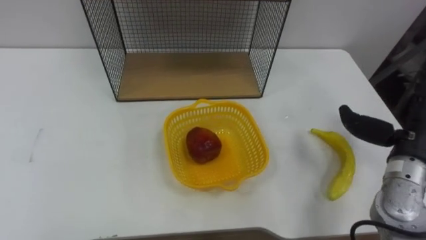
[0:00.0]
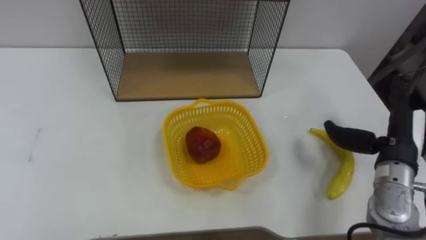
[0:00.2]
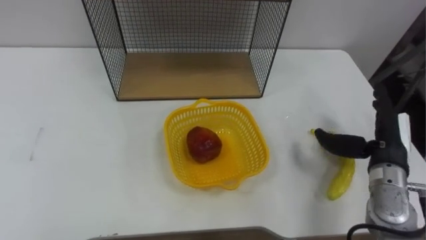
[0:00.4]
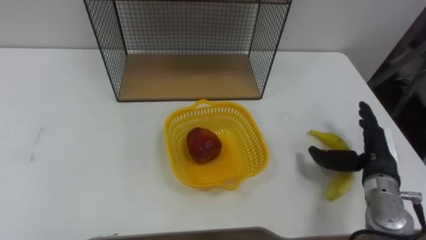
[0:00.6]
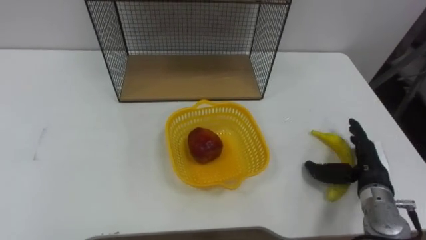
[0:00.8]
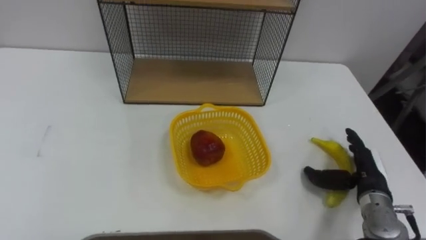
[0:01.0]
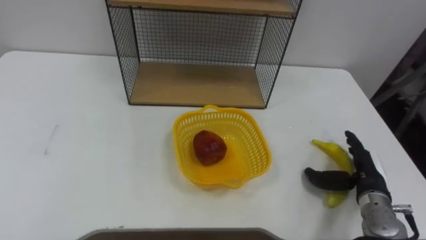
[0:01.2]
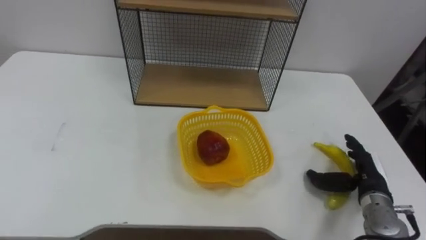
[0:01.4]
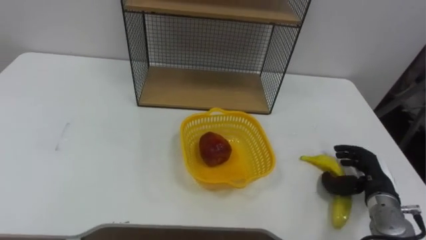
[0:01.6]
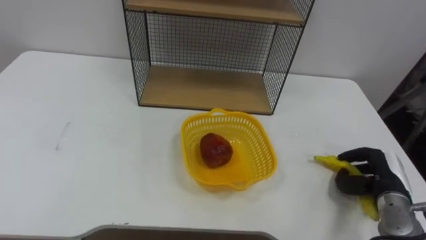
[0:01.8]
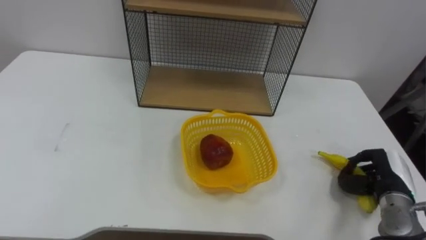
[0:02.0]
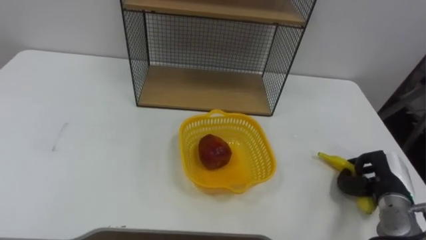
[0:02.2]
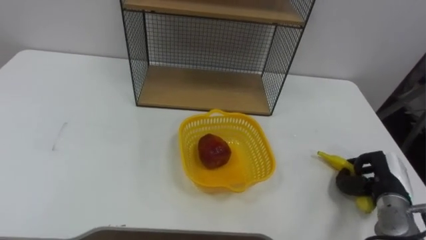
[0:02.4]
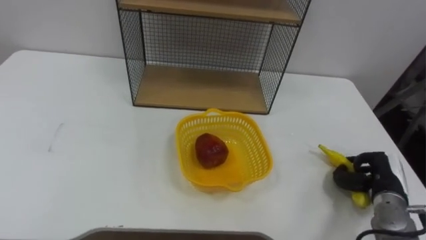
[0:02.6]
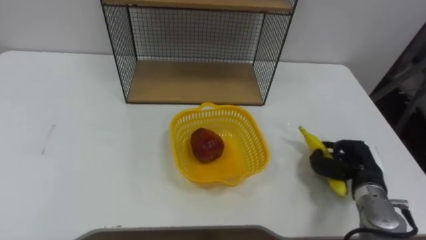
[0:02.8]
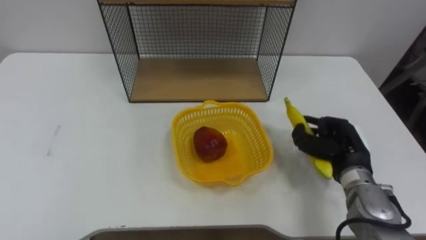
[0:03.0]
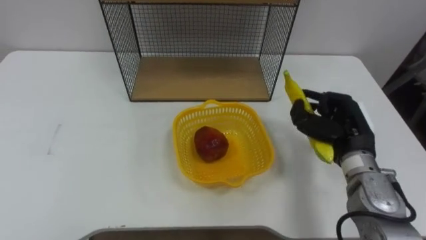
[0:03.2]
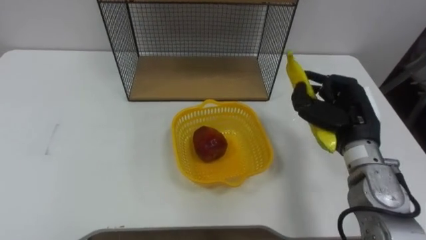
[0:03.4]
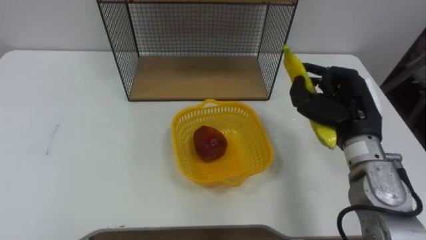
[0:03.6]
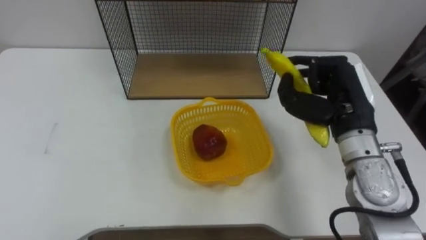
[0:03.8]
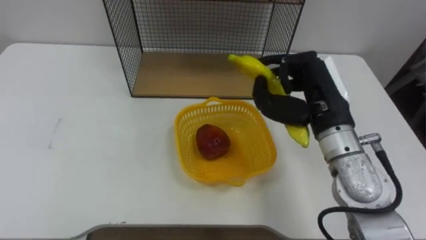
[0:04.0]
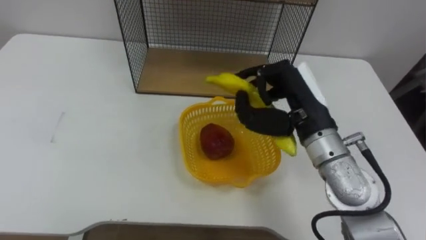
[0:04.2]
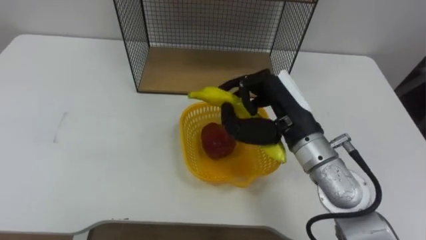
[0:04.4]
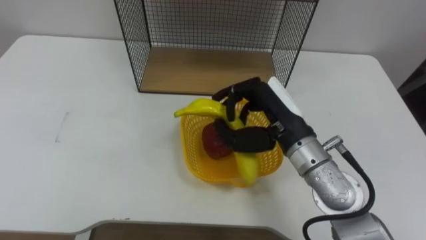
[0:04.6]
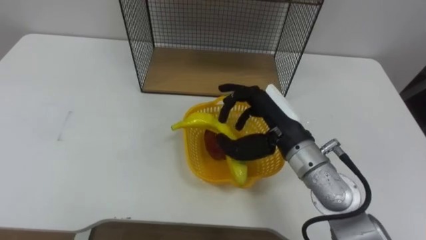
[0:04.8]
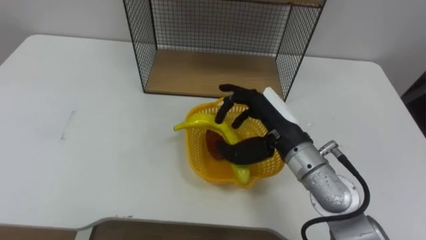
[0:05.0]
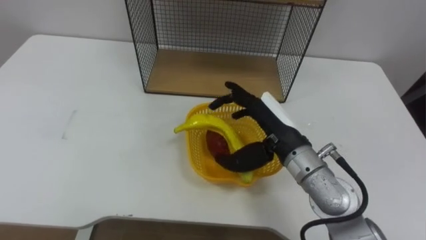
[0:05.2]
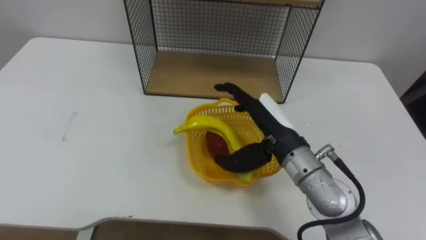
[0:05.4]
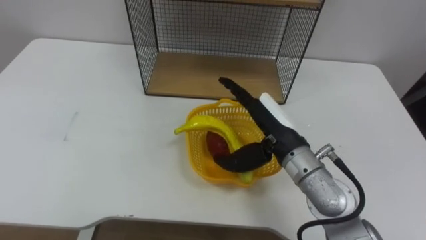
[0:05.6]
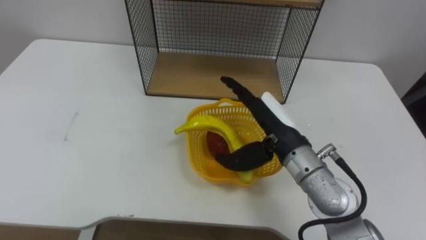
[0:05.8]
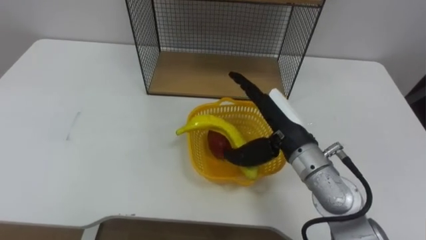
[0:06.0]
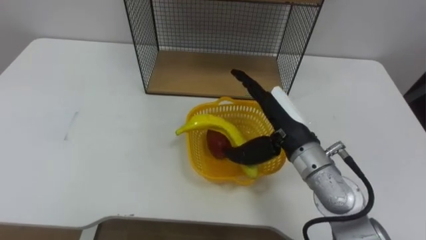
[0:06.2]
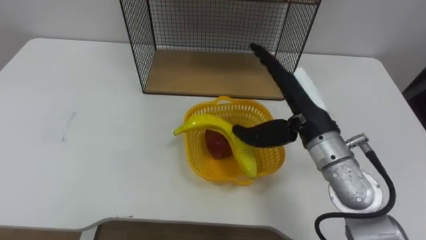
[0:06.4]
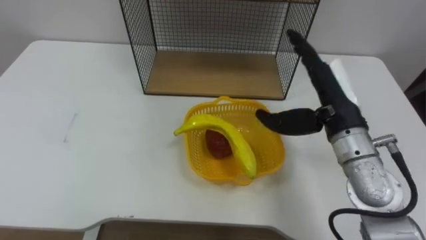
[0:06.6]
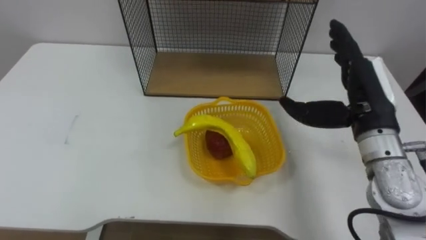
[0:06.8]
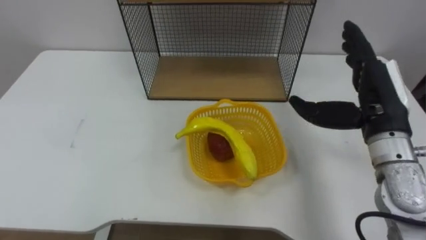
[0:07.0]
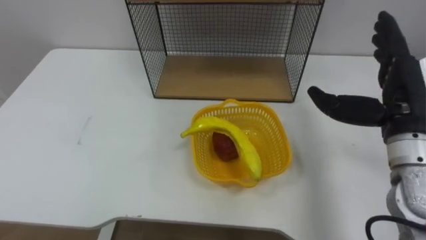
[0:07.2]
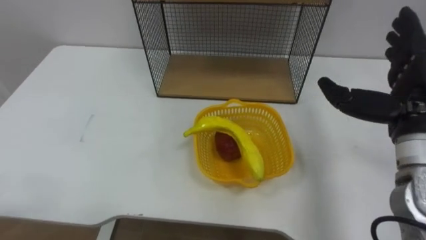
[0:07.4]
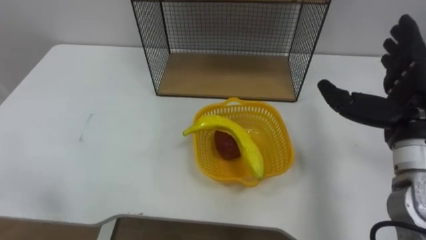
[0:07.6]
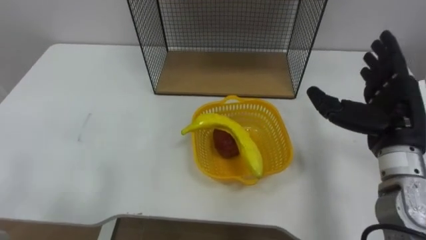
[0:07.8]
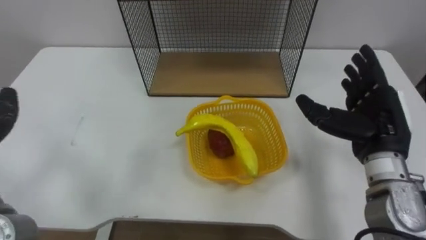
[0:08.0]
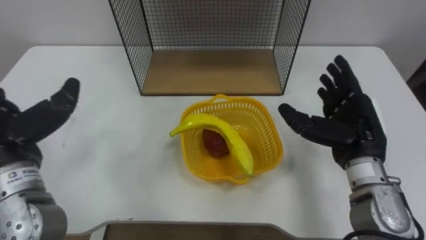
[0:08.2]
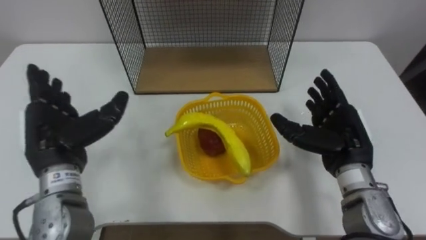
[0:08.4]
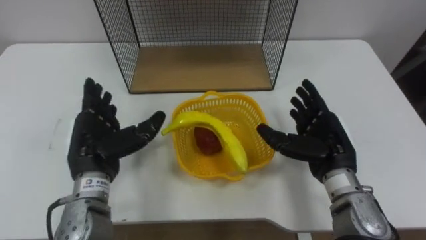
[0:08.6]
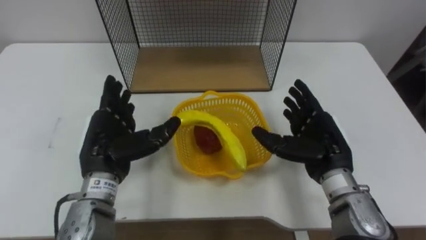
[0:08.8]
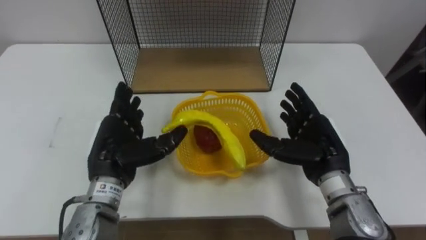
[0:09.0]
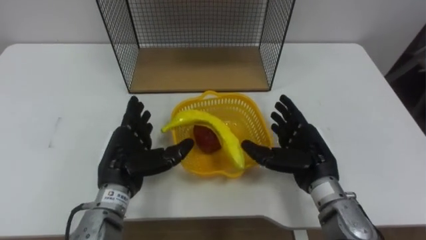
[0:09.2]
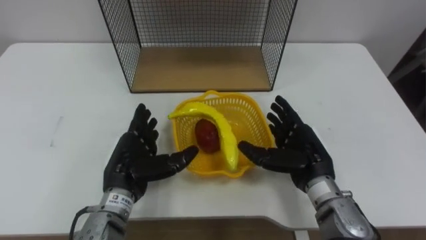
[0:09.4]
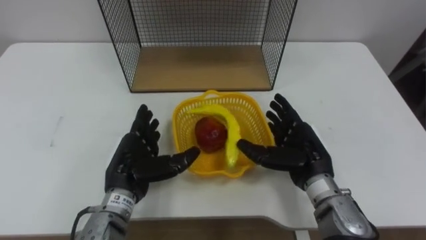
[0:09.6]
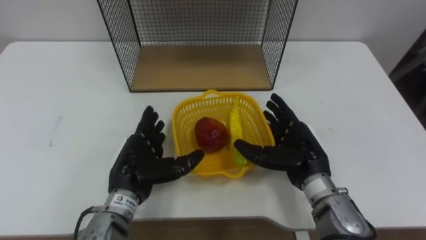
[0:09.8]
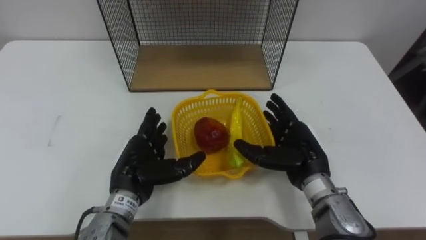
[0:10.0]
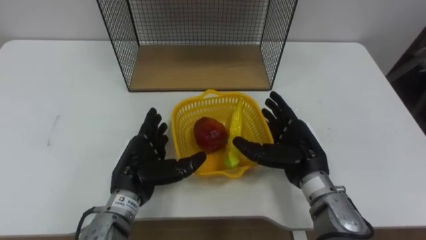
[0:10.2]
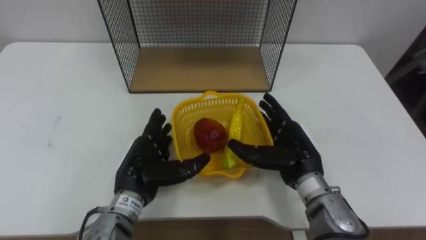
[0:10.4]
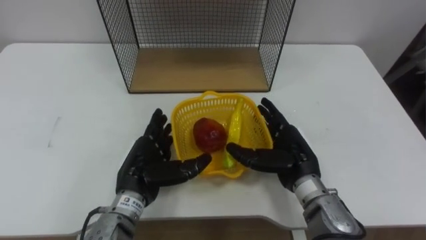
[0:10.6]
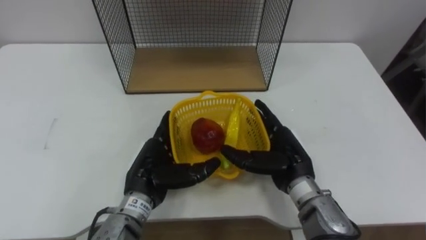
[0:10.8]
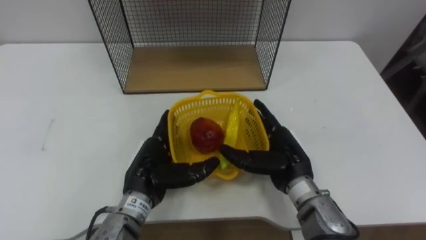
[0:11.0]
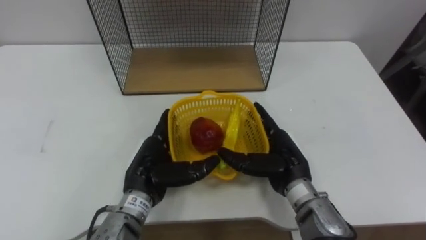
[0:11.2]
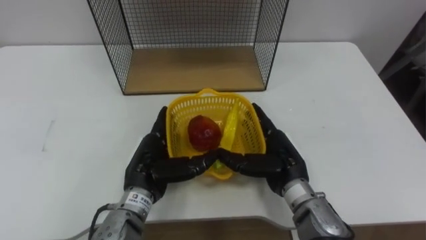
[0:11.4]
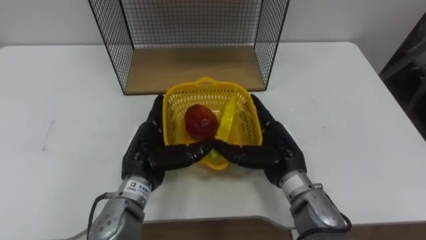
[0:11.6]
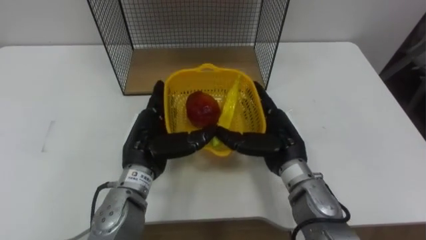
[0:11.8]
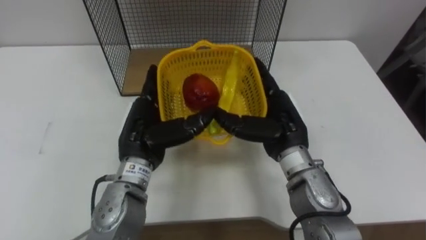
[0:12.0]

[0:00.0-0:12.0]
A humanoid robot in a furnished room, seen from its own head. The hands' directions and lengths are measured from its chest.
Task of the whole recording: Put the fruit on the table into the basket, then place the basket on the shelf.
0:00.0 to 0:01.6: The right hand shifts about 15 cm downward.
0:01.6 to 0:03.0: The right hand goes approximately 10 cm upward and to the left, and closes up.
0:03.0 to 0:04.4: The right hand travels to the left and upward by approximately 20 cm.
0:04.4 to 0:06.0: The right hand opens.
0:06.0 to 0:07.6: The right hand travels to the right by about 15 cm.
0:07.6 to 0:09.0: The right hand goes about 15 cm downward and to the left.
0:09.0 to 0:10.4: The left hand moves about 5 cm.
0:10.4 to 0:12.0: Both hands move upward, approximately 5 cm.

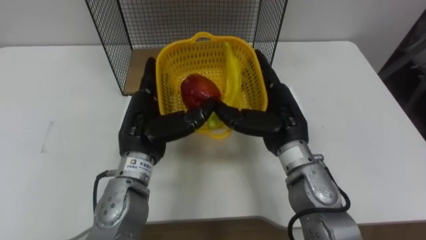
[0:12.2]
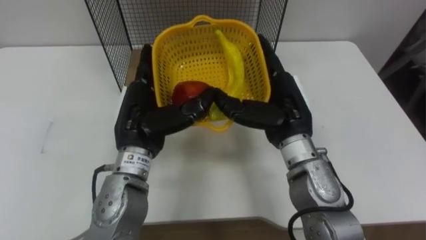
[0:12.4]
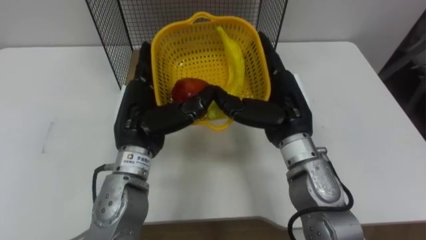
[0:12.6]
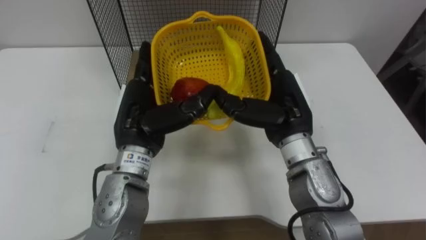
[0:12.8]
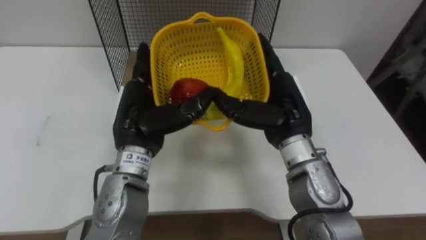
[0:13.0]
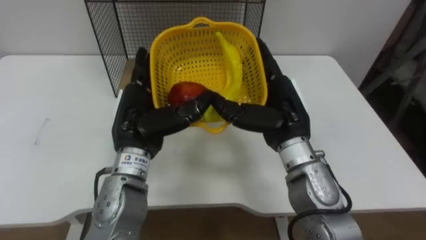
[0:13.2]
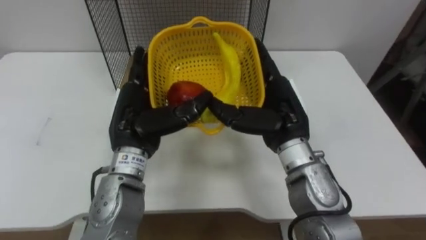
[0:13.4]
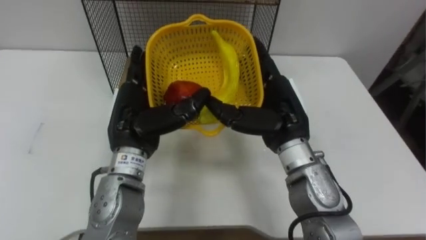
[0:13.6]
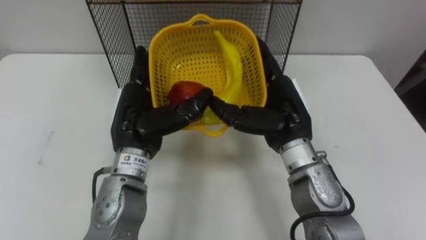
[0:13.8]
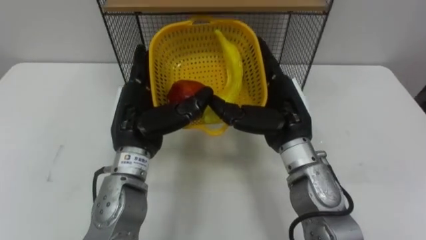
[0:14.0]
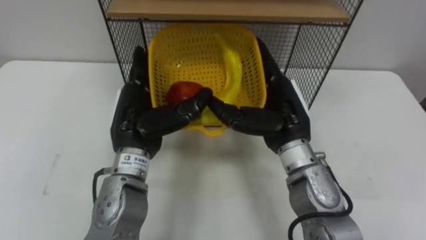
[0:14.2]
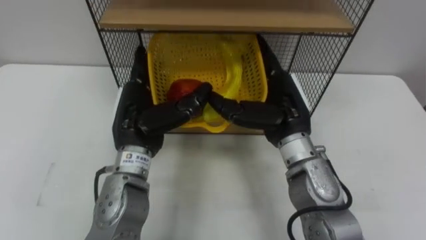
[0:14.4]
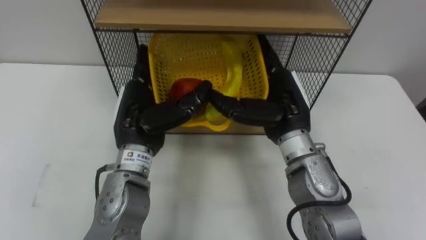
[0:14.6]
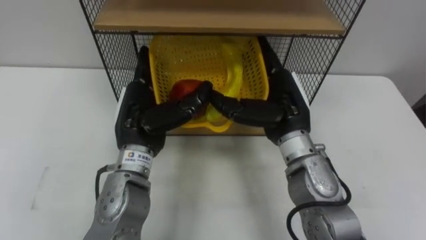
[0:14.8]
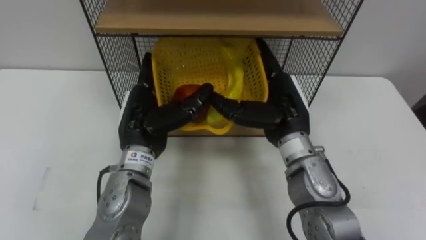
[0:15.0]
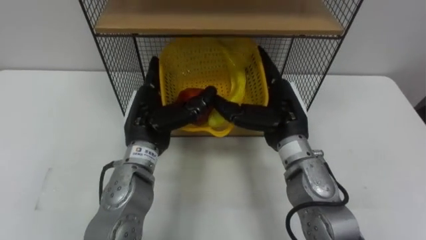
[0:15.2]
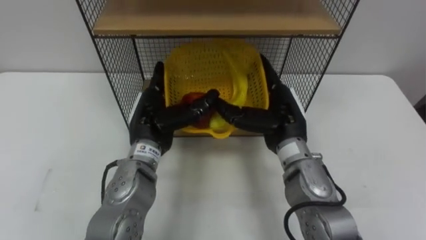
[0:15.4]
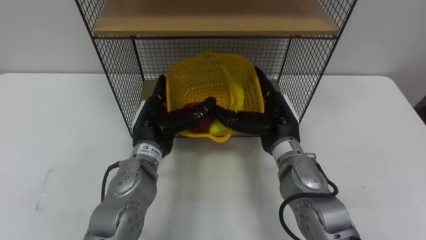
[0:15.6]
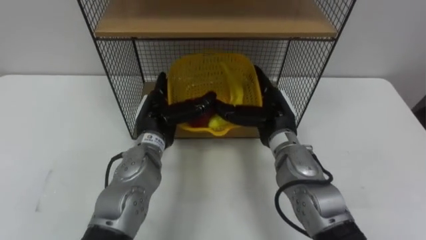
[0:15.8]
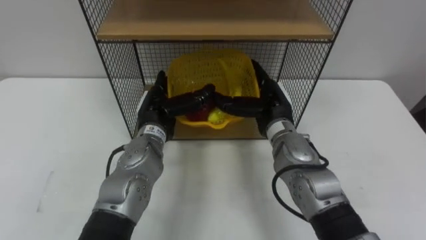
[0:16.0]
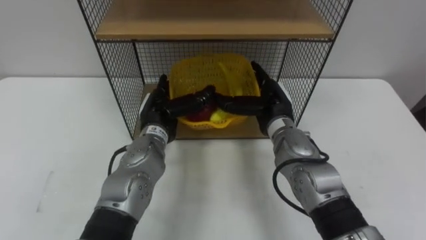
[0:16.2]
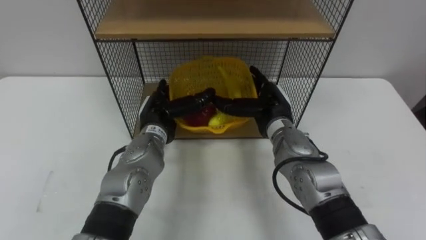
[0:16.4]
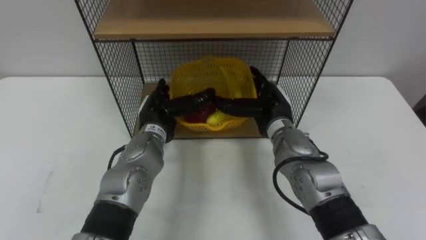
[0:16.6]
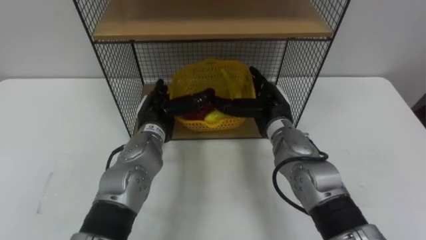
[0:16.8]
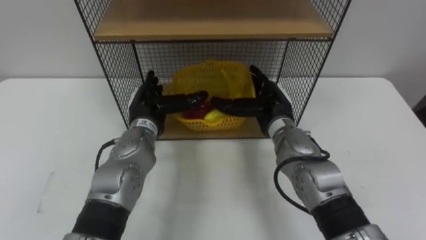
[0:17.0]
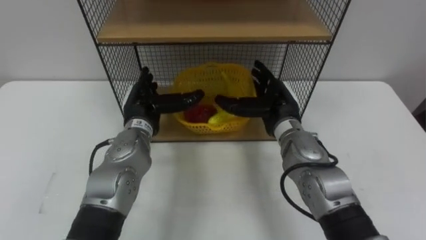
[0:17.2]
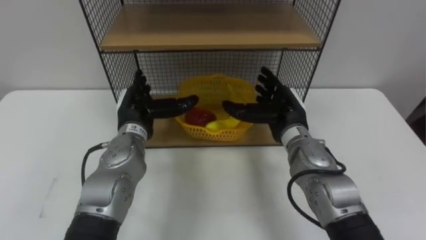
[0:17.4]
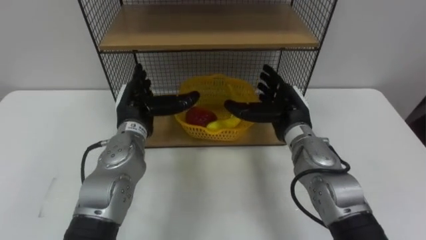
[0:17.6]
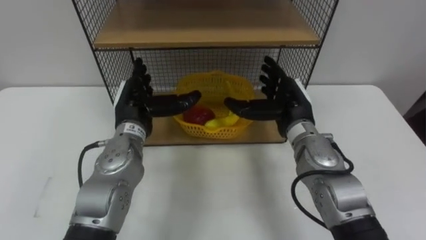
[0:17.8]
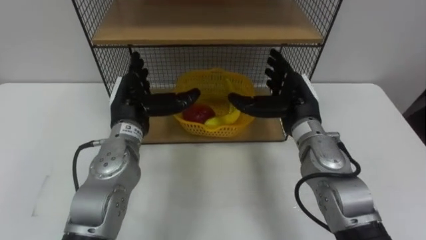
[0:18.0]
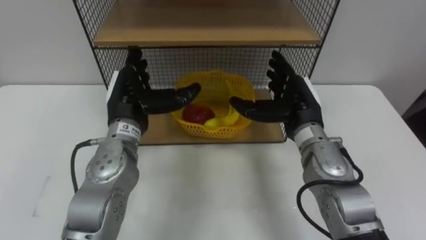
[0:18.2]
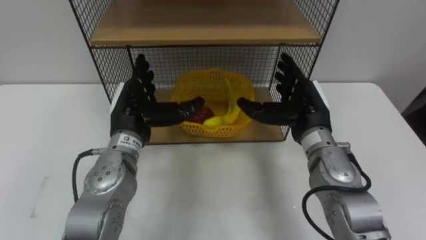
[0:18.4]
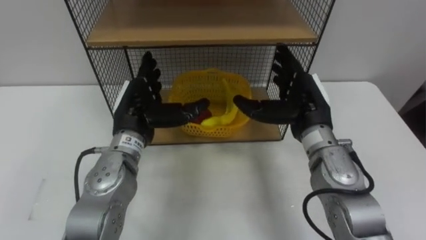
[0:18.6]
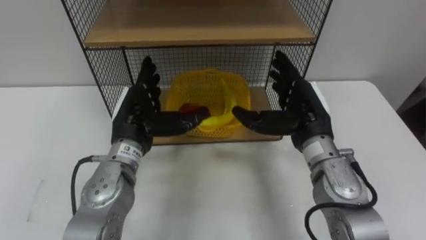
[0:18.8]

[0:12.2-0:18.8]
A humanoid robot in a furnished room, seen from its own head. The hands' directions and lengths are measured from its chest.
Task of the whole recording: Put the fruit on the table into the basket, then place the basket on the shelf.
0:15.4 to 0:17.2: The left hand moves about 5 cm; the right hand changes place by some 5 cm.
0:17.2 to 0:18.8: The right hand shifts by approximately 5 cm. Meanwhile the left hand ends up approximately 5 cm from where it was.
